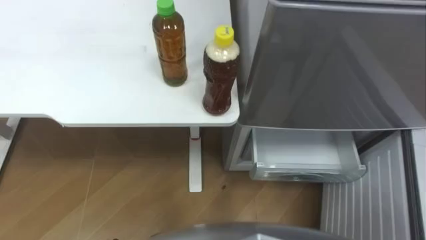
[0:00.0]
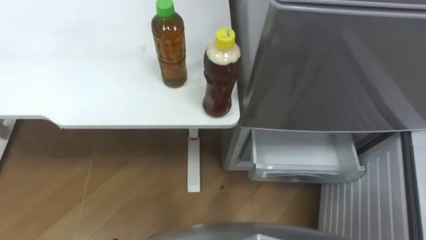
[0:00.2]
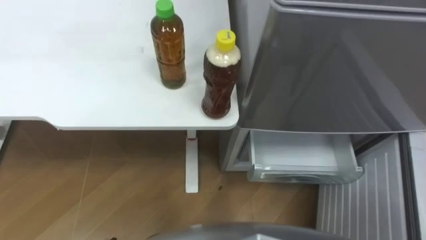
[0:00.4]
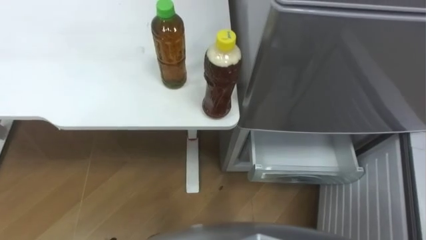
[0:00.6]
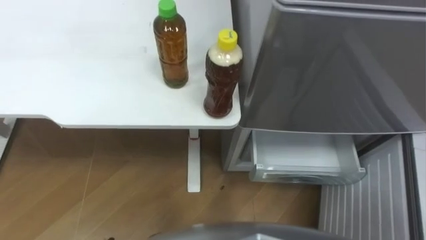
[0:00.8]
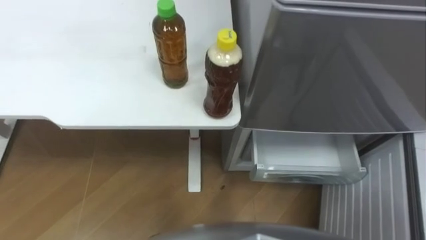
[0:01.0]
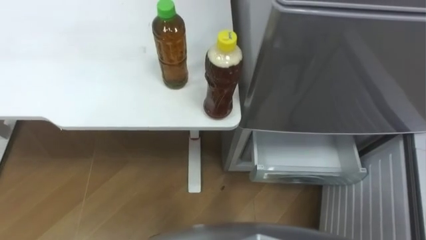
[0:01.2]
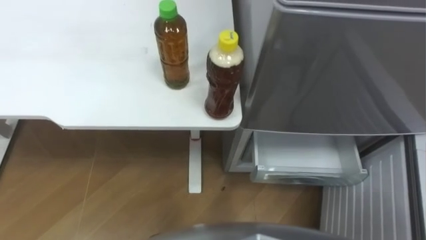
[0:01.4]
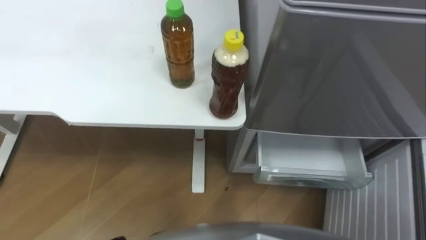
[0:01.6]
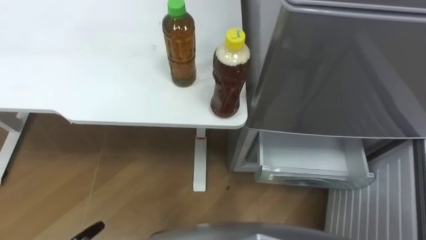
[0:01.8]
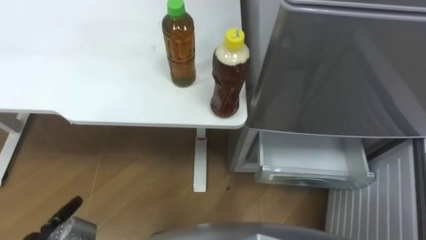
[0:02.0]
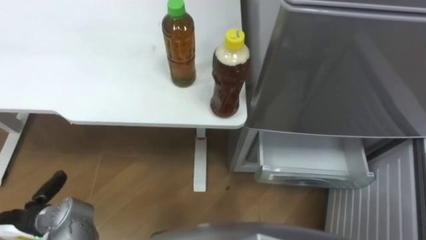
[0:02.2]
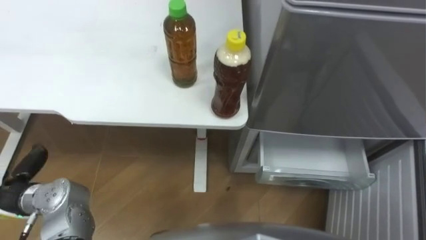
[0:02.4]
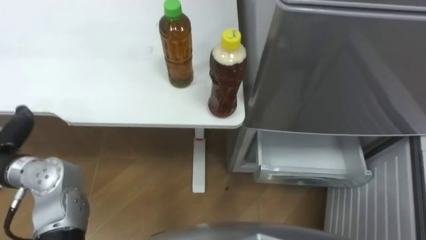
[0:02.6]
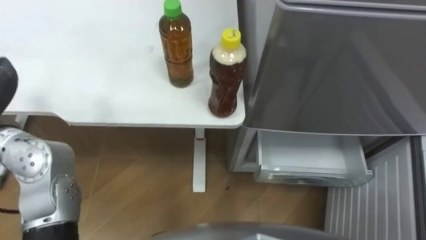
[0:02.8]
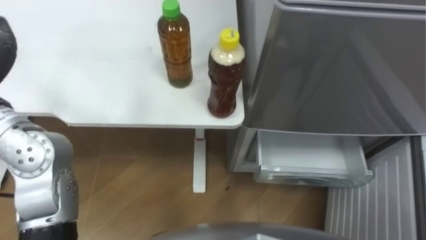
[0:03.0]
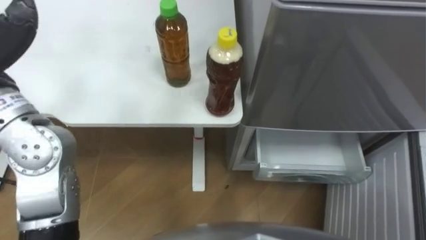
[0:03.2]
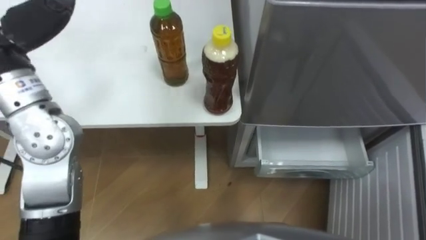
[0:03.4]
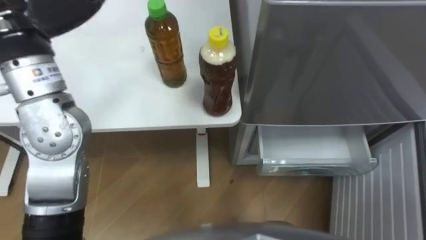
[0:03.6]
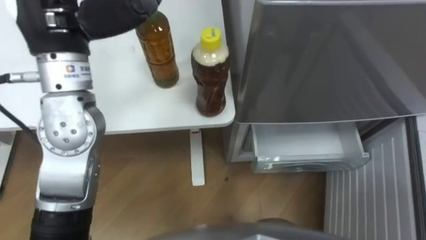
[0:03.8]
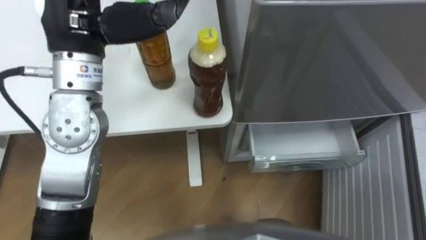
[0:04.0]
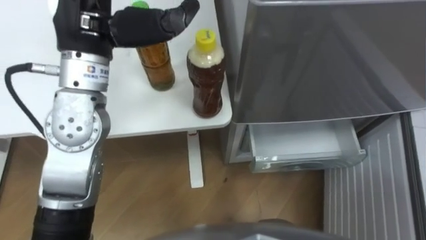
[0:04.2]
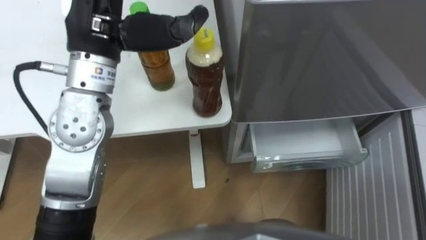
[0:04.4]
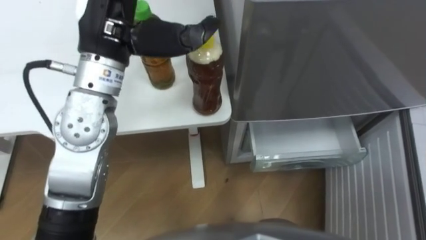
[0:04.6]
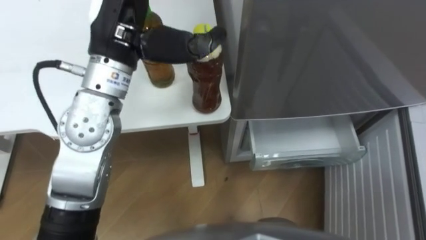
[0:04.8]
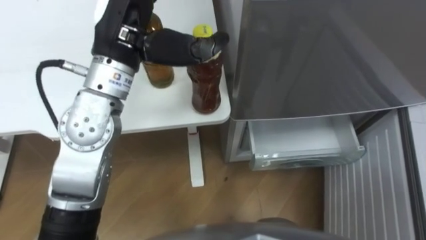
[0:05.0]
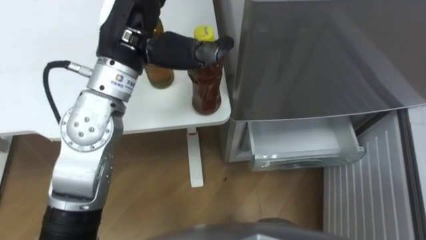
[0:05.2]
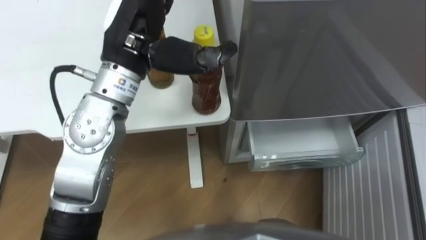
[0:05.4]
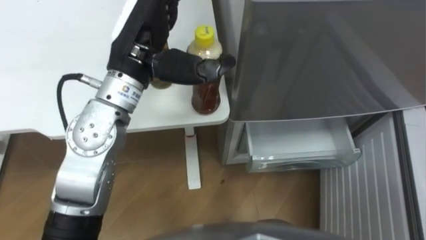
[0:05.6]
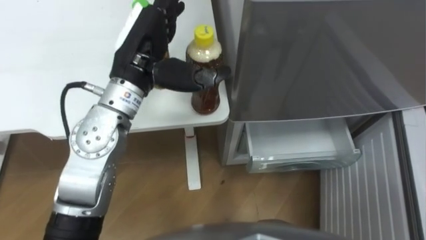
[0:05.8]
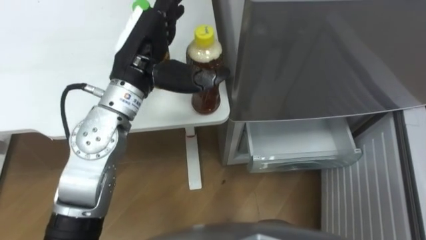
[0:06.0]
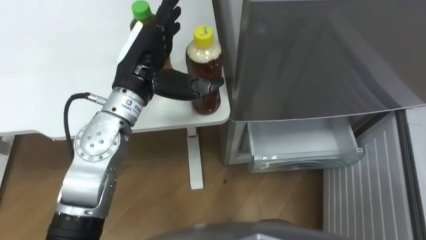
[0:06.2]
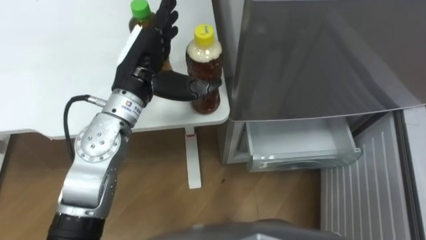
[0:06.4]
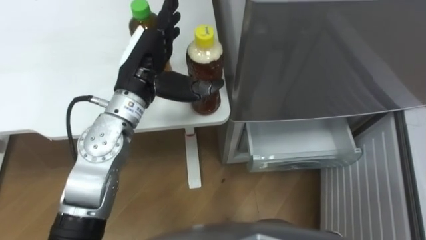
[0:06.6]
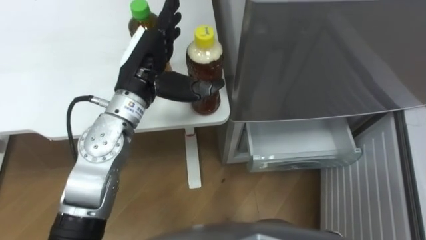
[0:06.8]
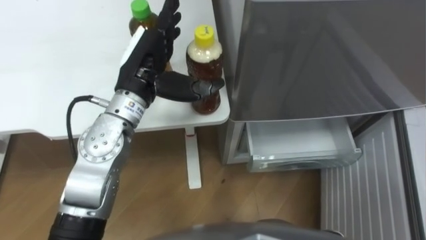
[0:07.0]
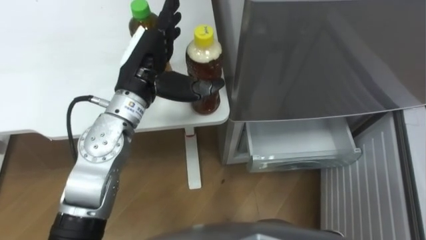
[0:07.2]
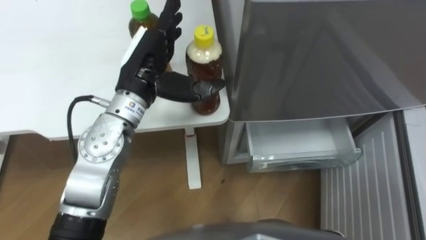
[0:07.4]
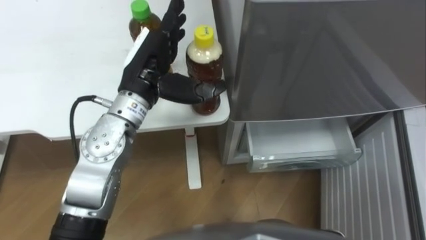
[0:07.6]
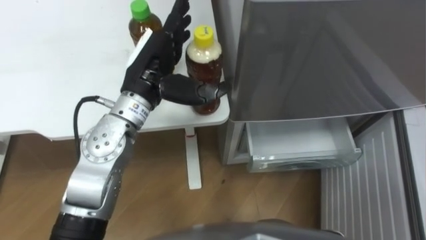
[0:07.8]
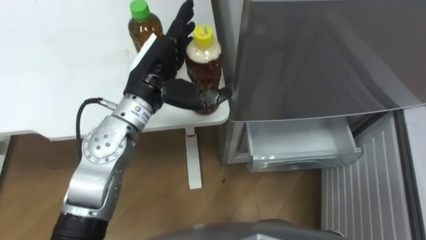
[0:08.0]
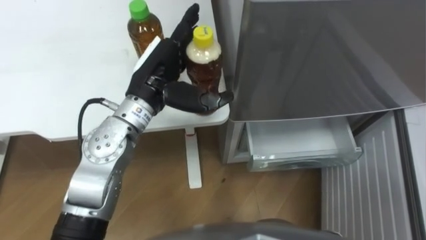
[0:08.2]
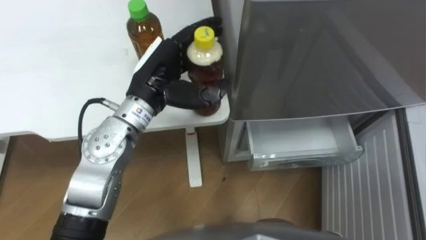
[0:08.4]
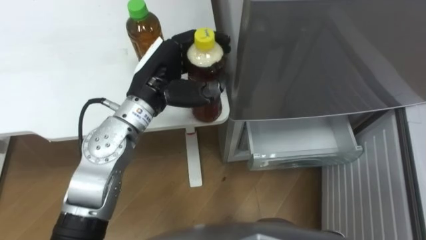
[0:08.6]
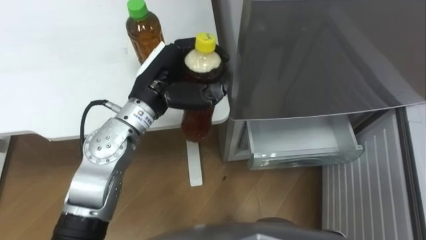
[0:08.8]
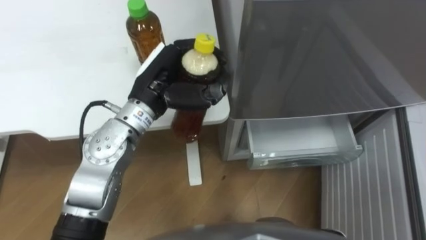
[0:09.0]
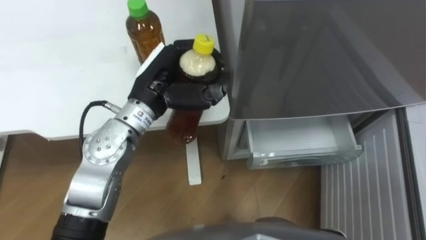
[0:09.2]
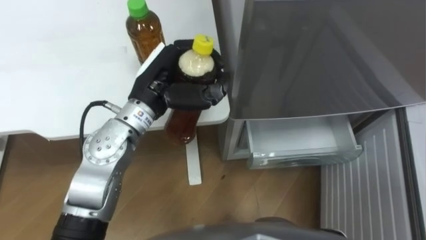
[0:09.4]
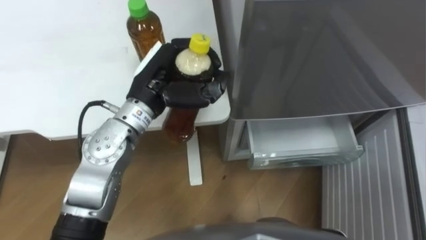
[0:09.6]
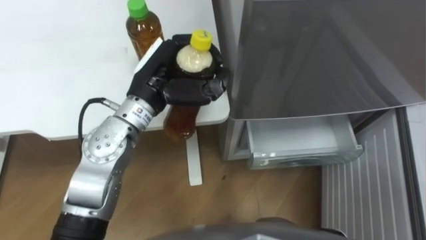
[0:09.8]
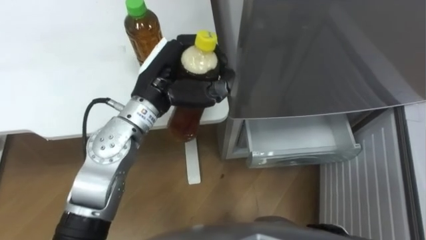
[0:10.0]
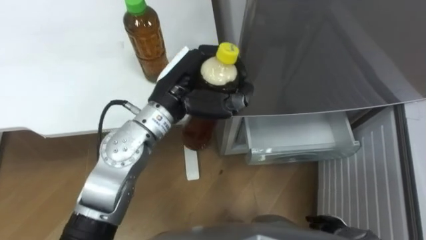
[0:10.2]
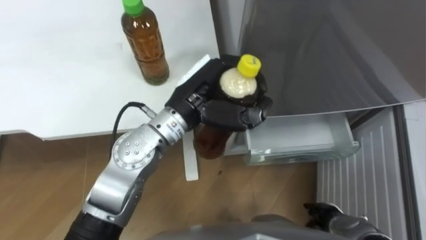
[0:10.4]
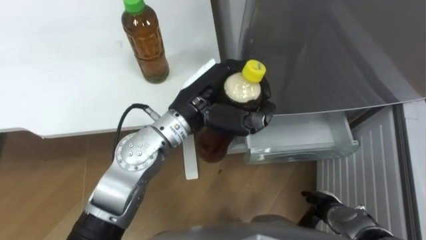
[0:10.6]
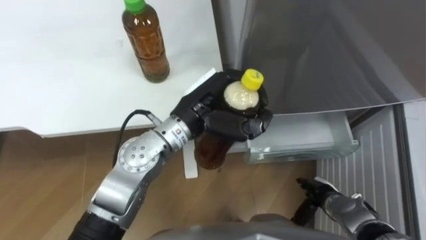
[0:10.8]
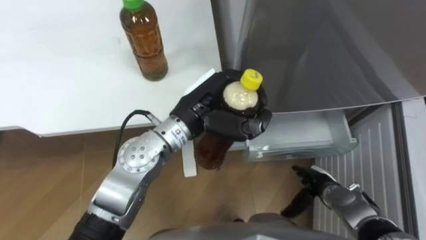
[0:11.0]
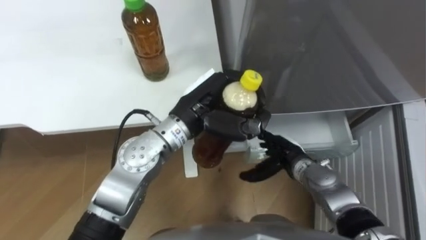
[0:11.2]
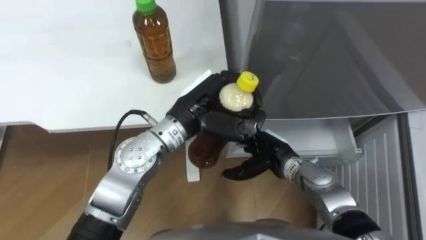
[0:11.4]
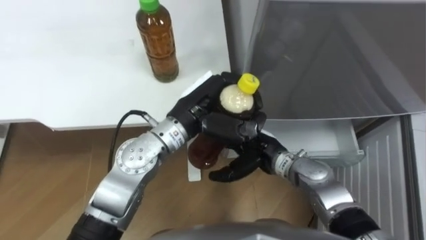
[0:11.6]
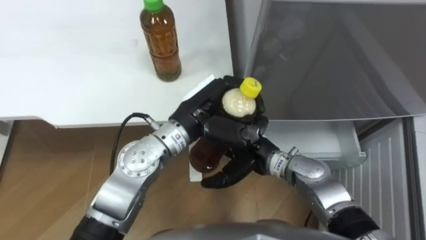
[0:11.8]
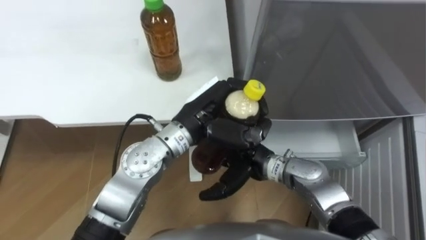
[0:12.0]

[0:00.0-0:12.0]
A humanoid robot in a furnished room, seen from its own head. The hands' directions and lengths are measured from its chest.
Task of the whole recording: Place the drink on the table on the bottom shelf of the refrigerator, then close the drawer and the refrigerator door.
0:04.4 to 0:06.0: The left hand moves downward, some 10 cm.
0:07.6 to 0:09.0: The left hand closes its fingers.
0:09.0 to 0:10.4: The left hand heads to the right, covering roughly 5 cm.
0:10.4 to 0:12.0: The right hand goes approximately 25 cm to the left, upward and forward.

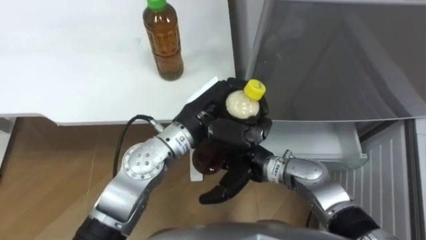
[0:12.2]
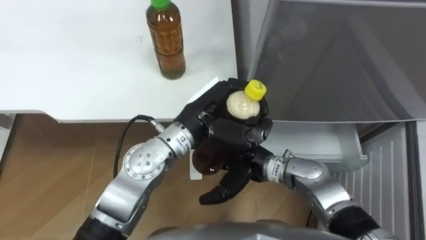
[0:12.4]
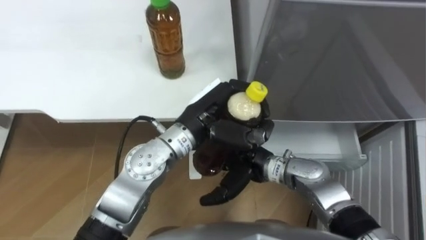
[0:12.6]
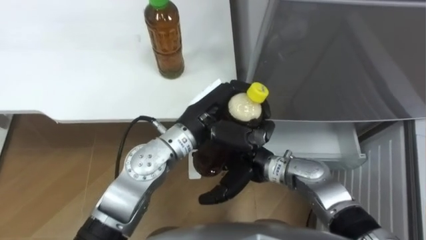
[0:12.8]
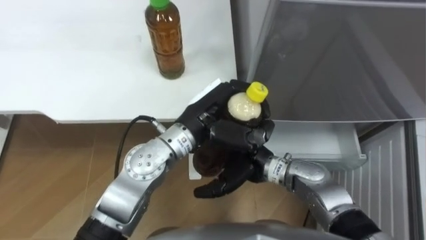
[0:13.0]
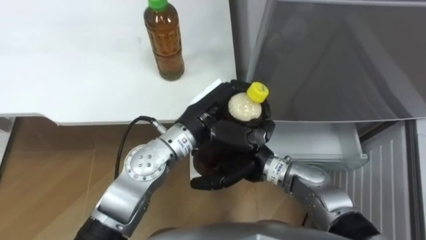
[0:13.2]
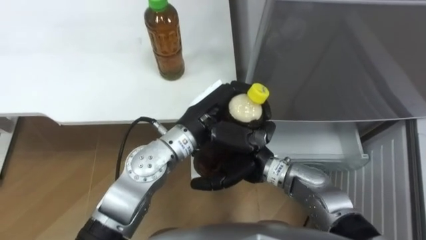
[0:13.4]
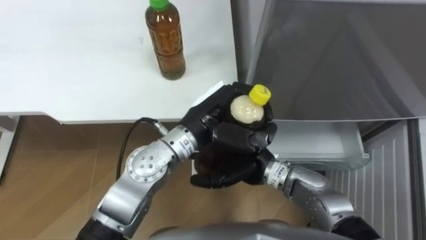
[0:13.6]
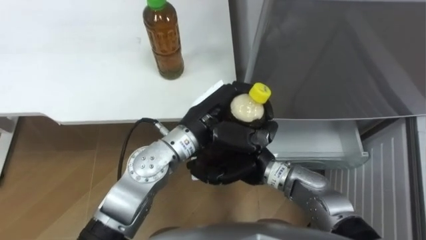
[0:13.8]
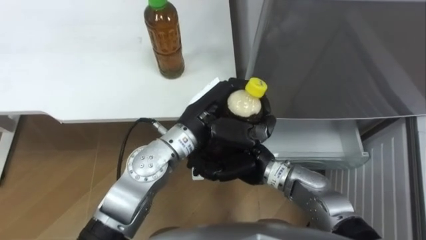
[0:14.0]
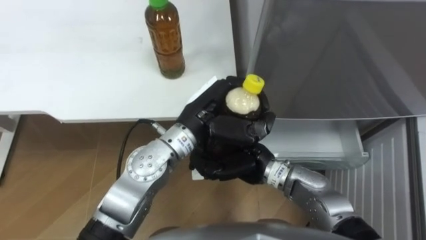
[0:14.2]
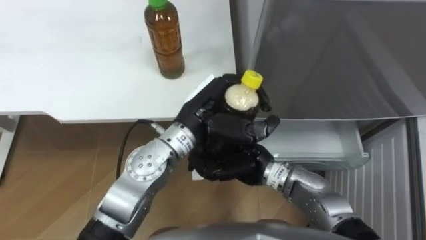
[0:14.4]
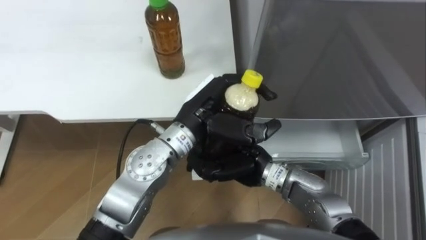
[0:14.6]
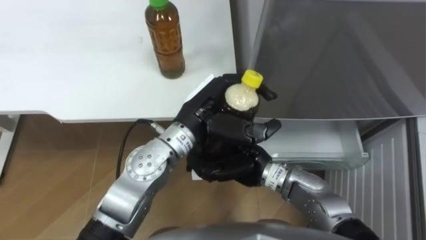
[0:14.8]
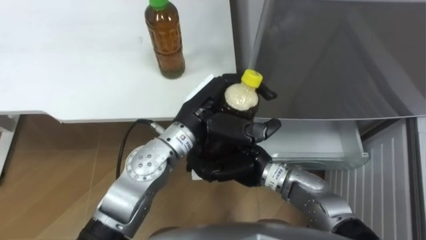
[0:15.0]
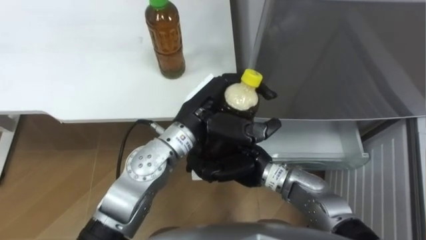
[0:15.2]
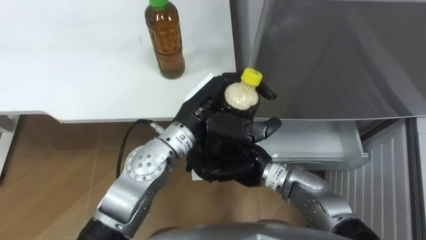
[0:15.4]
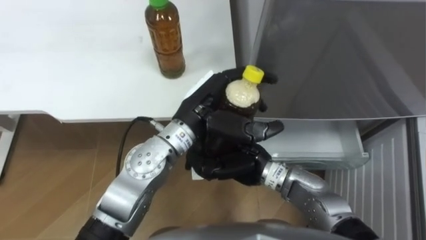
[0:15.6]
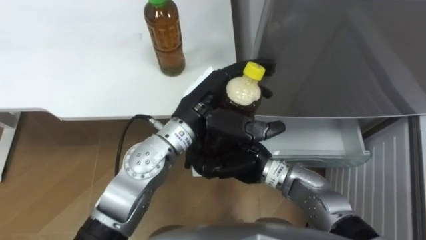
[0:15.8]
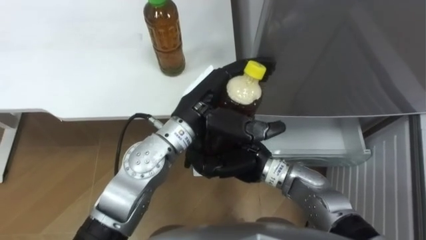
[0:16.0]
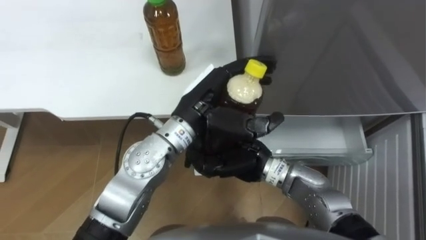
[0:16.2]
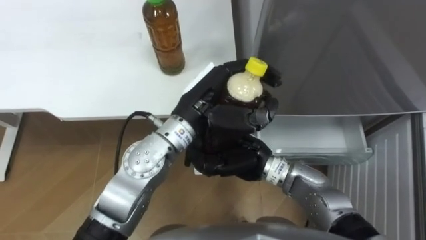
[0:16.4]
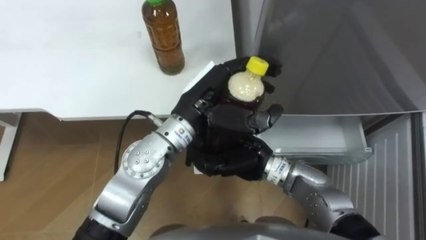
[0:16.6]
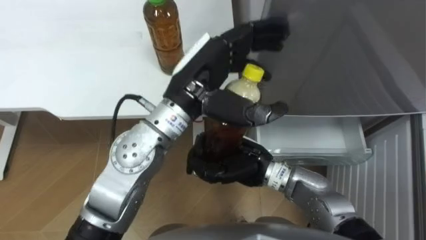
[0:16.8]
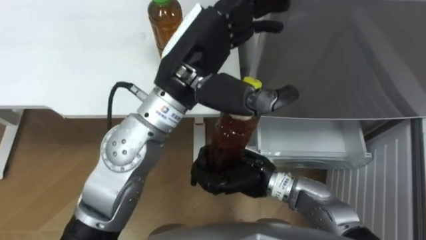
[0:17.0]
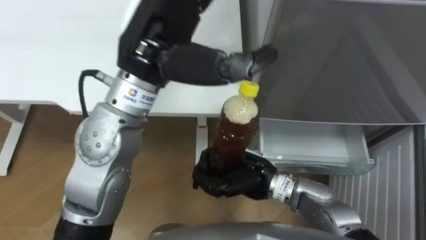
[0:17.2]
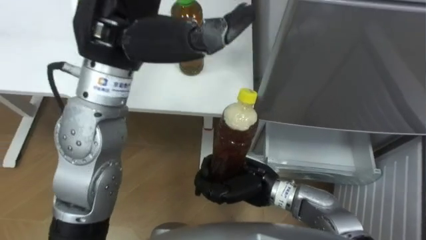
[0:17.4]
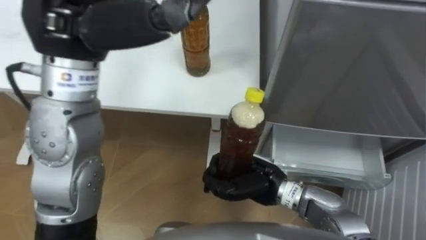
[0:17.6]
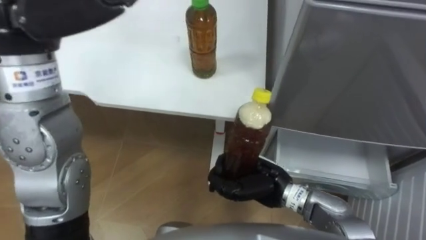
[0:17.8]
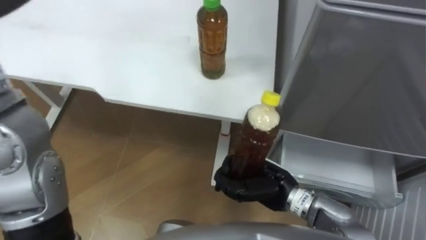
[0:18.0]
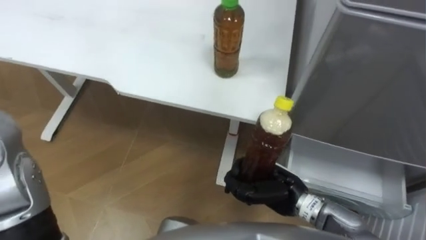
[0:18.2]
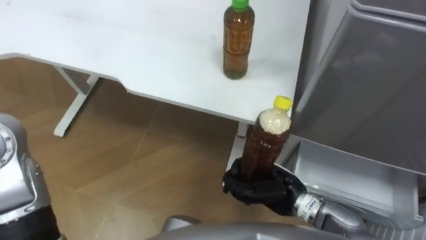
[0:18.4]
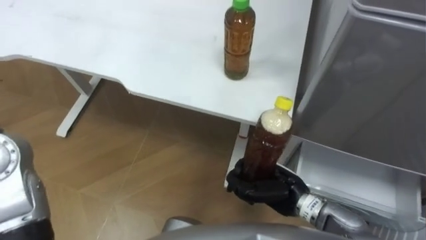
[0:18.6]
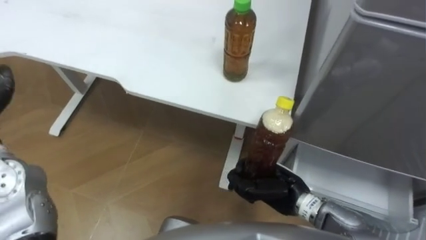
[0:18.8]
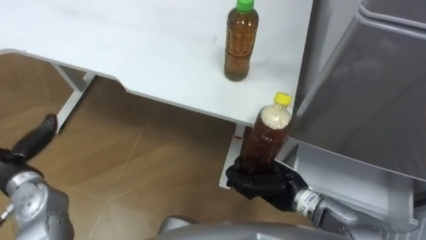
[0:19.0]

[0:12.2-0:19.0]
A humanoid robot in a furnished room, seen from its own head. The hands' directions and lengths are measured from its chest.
Task of the whole recording: Place the drink on the table on the bottom shelf of the refrigerator, then close the drawer and the refrigerator door.
0:13.6 to 0:15.0: The right hand closes.
0:15.0 to 0:16.2: The left hand opens its fingers.
0:16.2 to 0:17.6: The left hand moves upward and to the left, some 25 cm, and opens up, while the right hand changes place by some 5 cm.
0:17.6 to 0:19.0: The right hand goes about 5 cm to the right.
